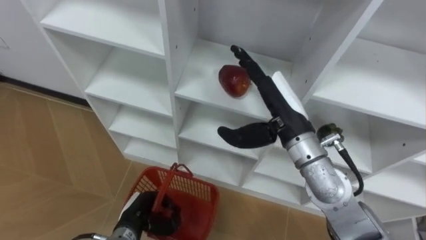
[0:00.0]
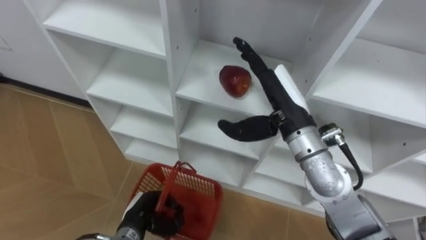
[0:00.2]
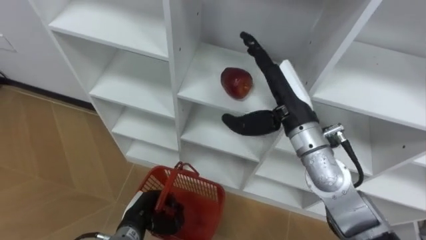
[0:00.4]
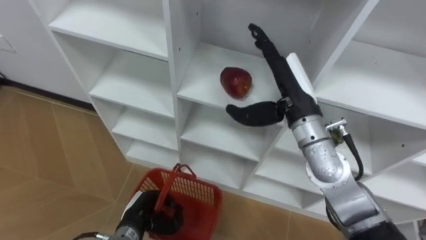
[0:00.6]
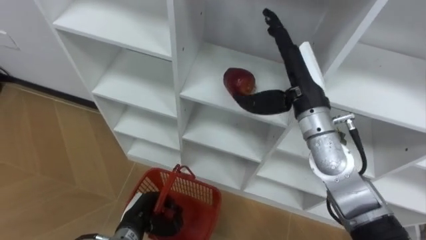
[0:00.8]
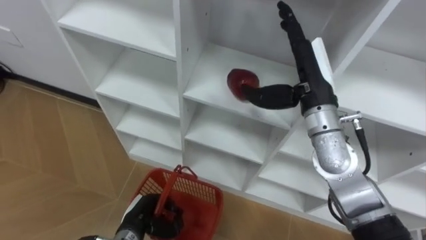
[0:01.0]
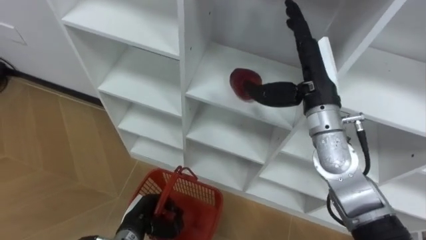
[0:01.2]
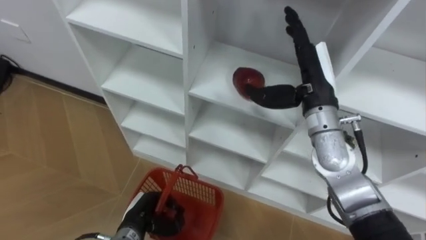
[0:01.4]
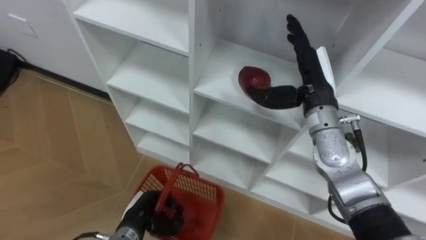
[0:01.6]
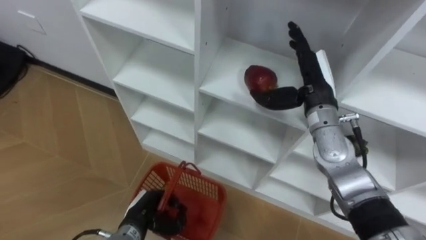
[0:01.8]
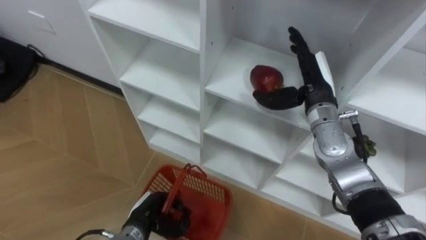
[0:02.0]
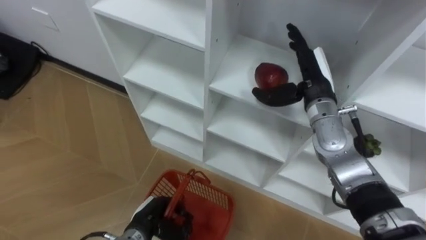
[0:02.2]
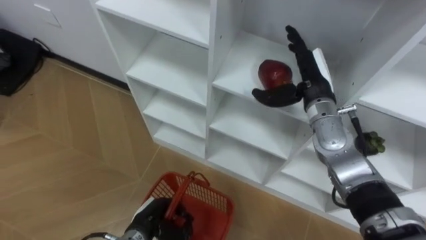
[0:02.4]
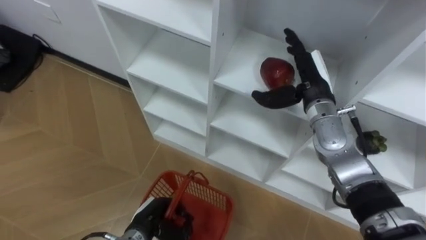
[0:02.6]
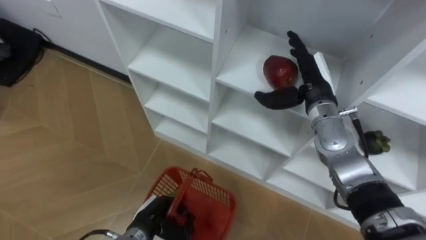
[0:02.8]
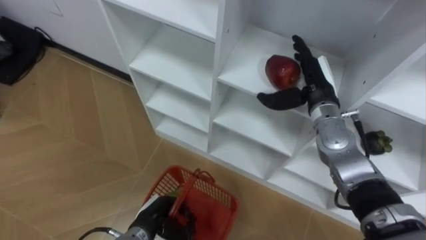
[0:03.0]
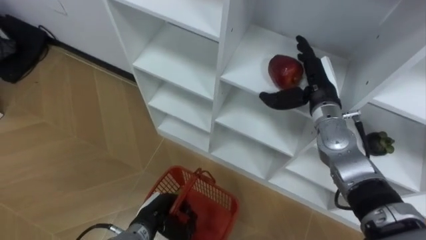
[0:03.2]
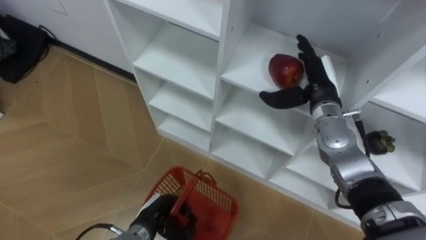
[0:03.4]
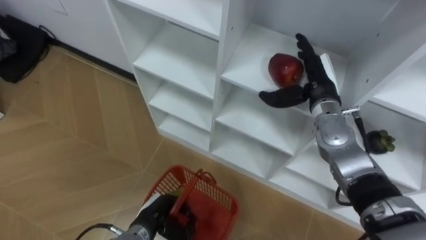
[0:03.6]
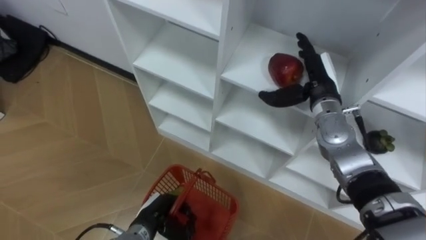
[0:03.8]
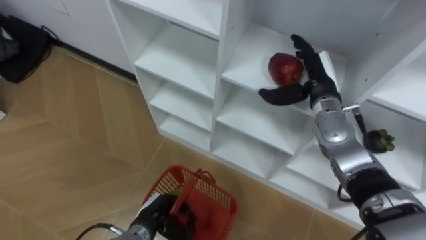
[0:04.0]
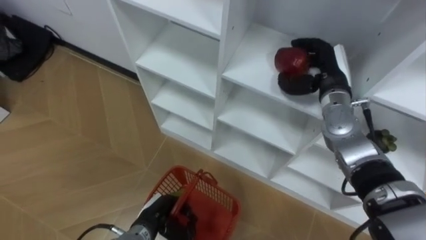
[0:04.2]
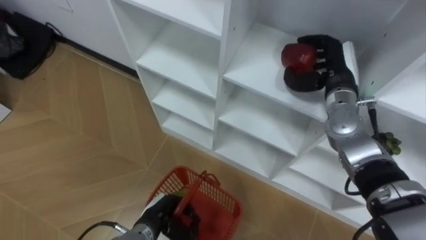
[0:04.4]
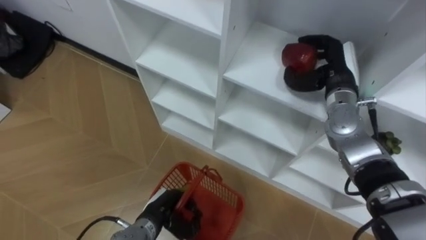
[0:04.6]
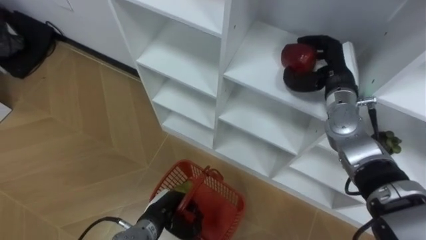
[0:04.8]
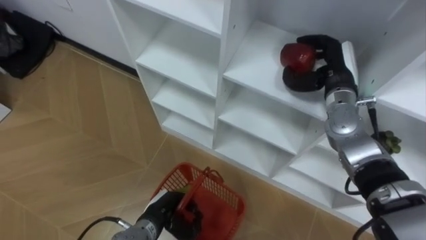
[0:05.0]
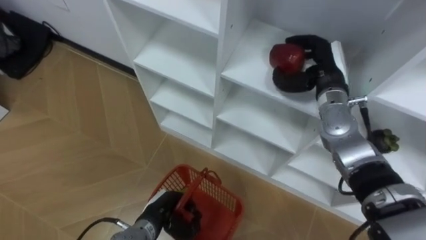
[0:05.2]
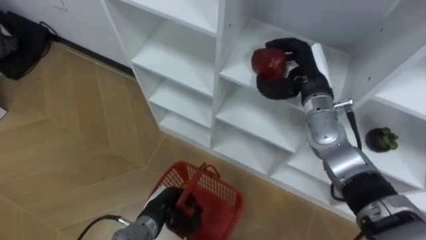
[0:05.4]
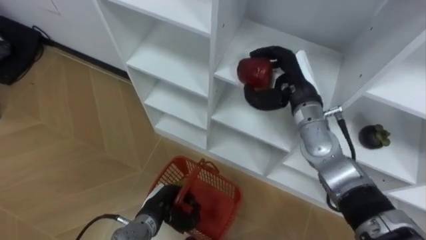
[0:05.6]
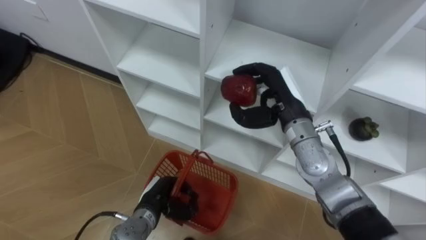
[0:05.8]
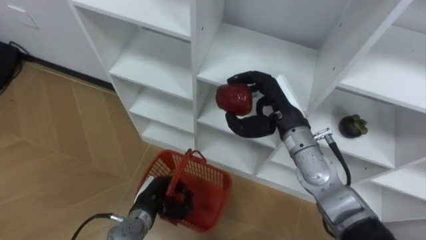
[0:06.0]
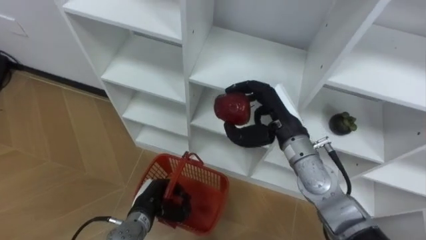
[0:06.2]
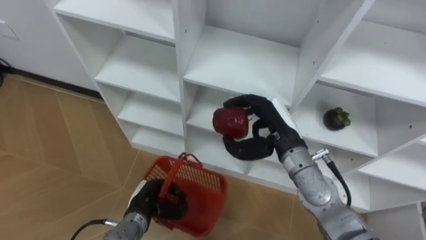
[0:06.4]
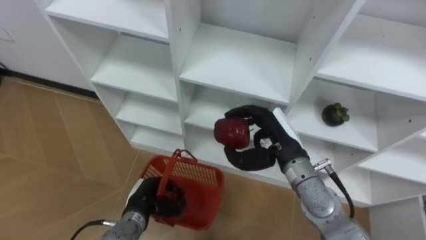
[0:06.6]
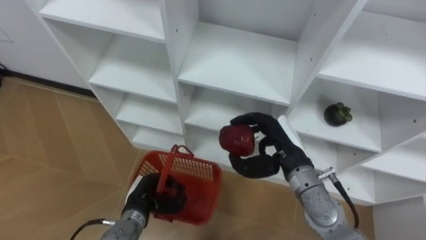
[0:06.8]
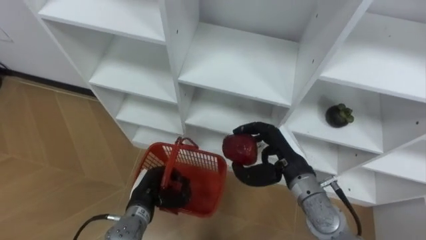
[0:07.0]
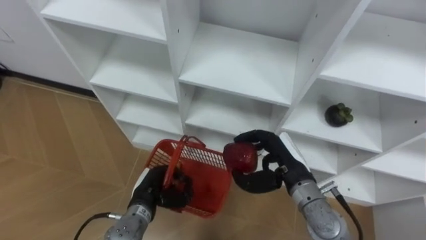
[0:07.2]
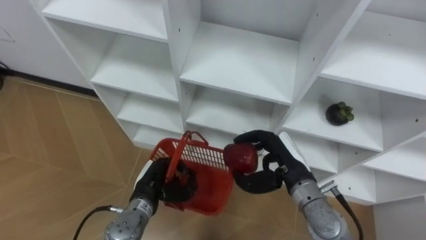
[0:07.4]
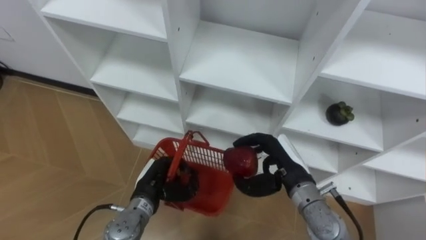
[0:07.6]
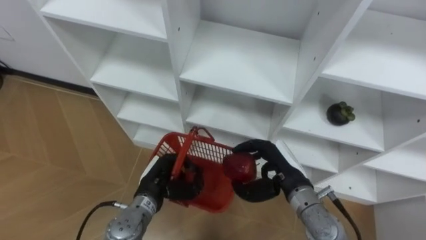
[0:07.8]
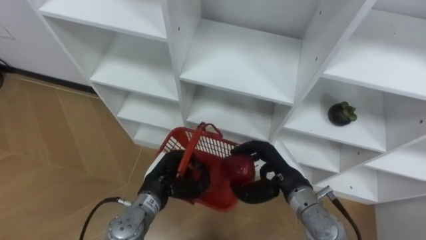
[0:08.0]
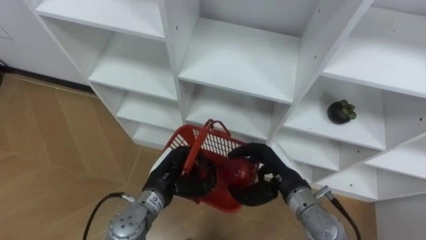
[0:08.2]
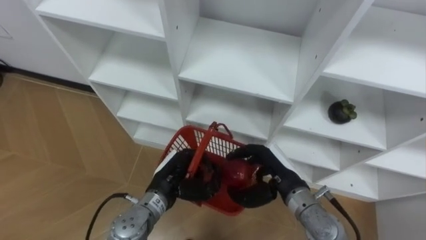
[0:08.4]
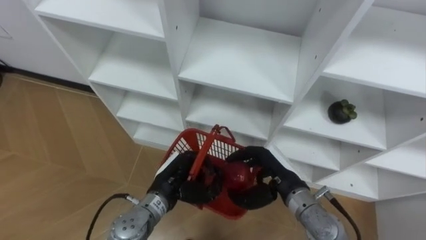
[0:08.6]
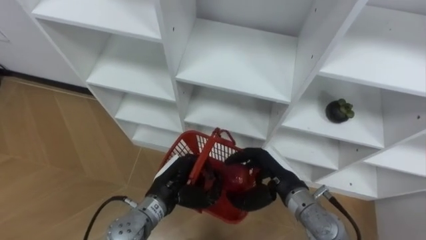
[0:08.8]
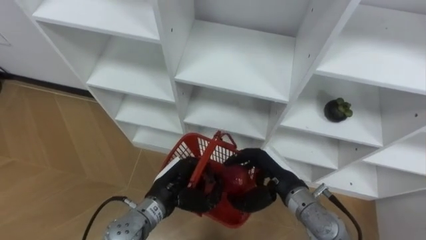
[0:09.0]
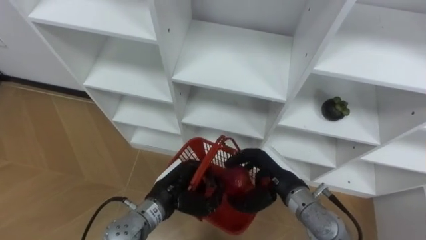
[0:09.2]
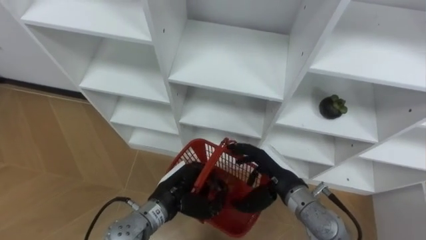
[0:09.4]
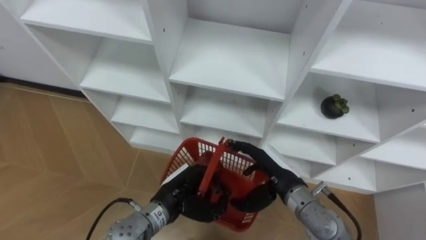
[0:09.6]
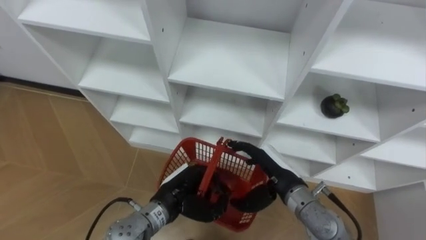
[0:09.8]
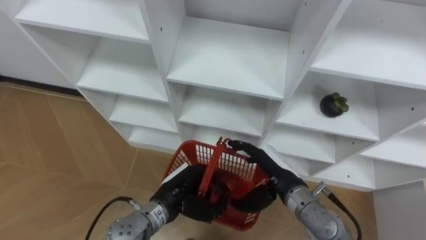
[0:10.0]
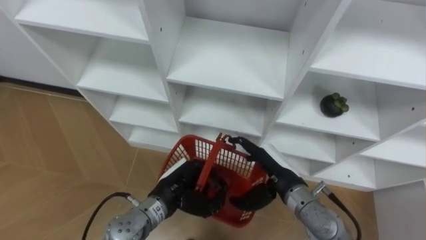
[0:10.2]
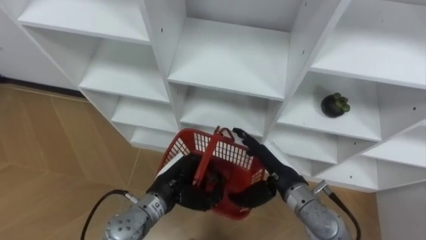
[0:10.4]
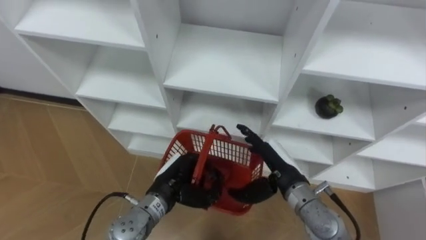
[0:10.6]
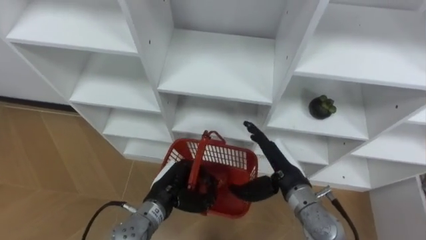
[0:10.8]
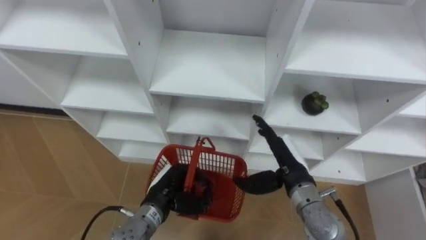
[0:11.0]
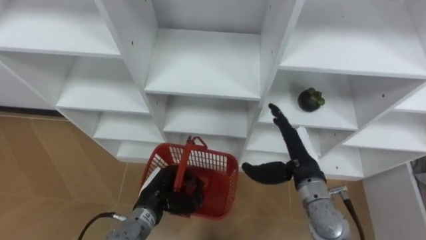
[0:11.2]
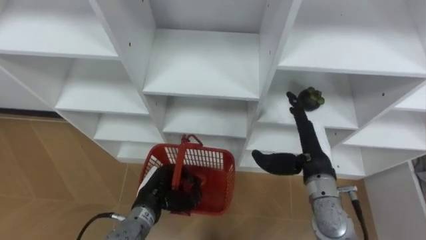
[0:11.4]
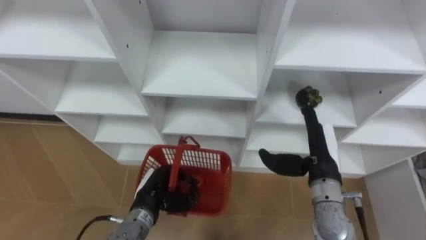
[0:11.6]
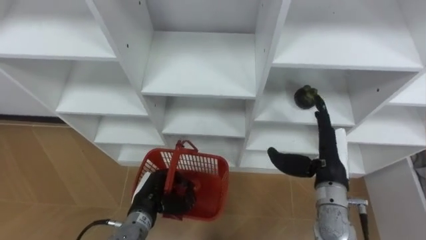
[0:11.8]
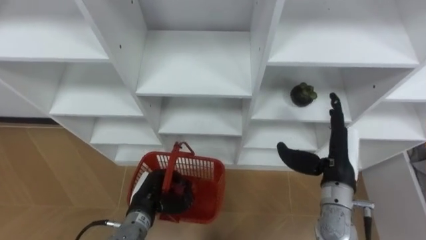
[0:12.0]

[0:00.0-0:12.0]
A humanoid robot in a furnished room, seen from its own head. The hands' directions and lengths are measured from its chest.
Task of the whole recording: Hold the basket and collect the fruits from 3 different cells of the closet into it.
0:00.0 to 0:01.6: The right hand goes some 10 cm to the right and forward.
0:01.6 to 0:03.0: The right hand changes place by roughly 5 cm.
0:03.0 to 0:04.4: The right hand closes up.
0:04.4 to 0:06.0: The right hand travels to the left and backward by about 10 cm.
0:06.0 to 0:07.6: The right hand moves downward and backward, roughly 10 cm.
0:07.6 to 0:09.0: The left hand changes place by approximately 5 cm.
0:09.0 to 0:10.4: The right hand opens up.
0:10.4 to 0:12.0: The left hand shifts about 10 cm to the left and downward, while the right hand goes some 10 cm to the right.

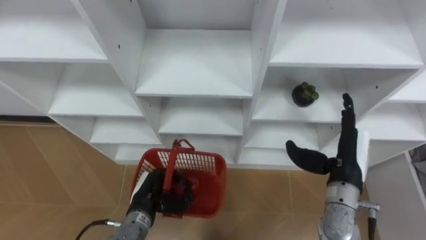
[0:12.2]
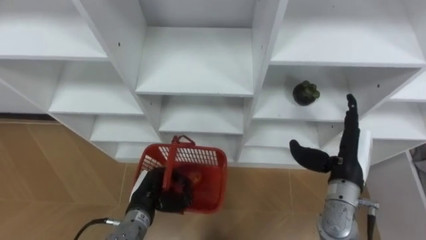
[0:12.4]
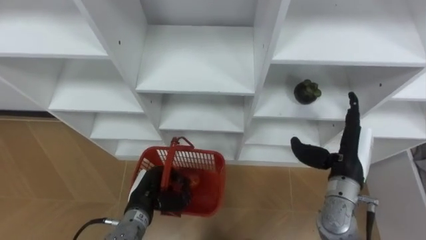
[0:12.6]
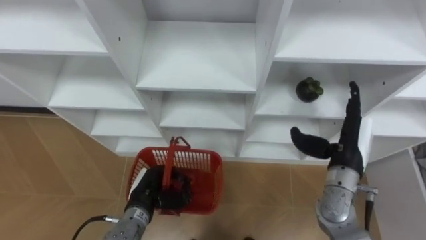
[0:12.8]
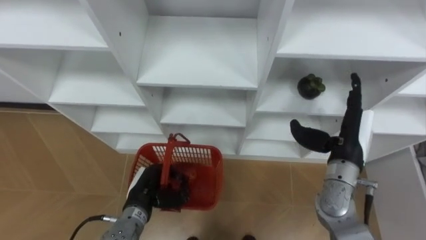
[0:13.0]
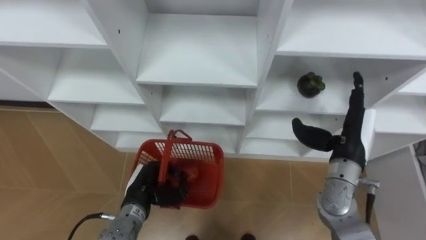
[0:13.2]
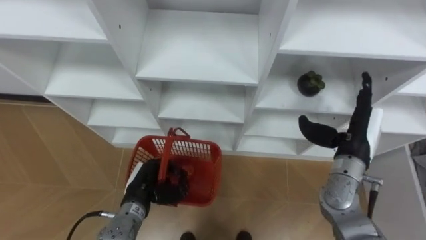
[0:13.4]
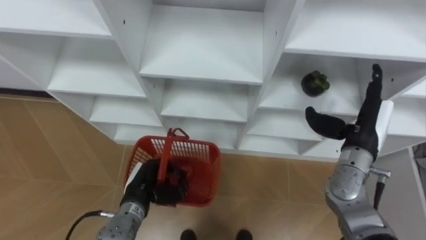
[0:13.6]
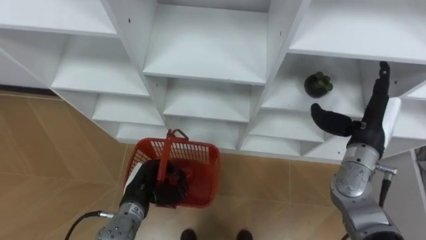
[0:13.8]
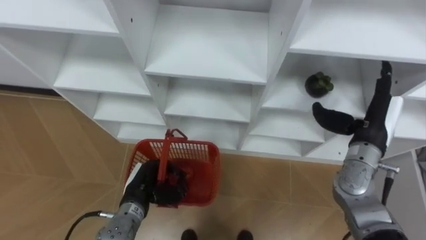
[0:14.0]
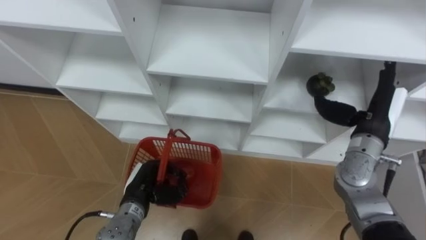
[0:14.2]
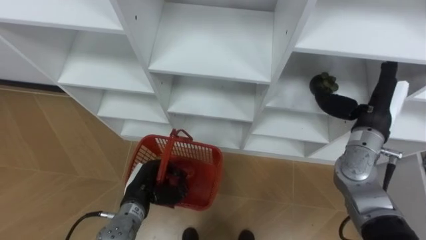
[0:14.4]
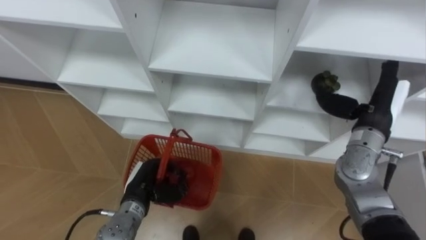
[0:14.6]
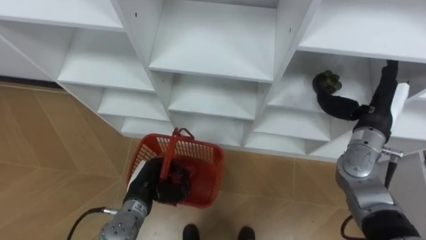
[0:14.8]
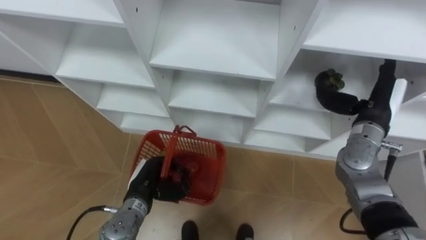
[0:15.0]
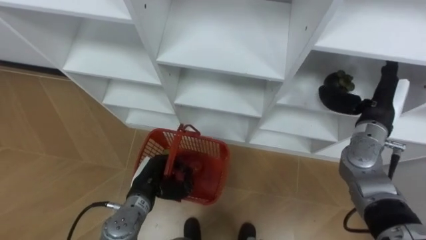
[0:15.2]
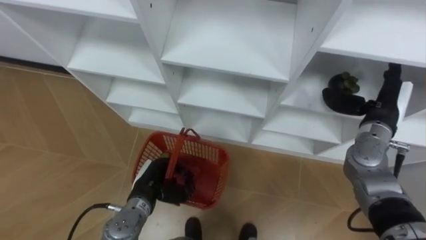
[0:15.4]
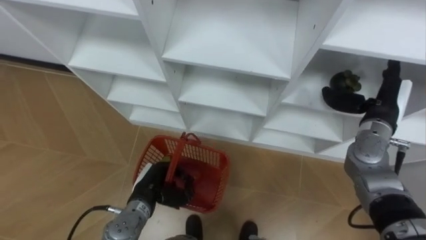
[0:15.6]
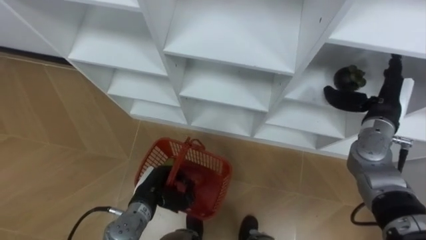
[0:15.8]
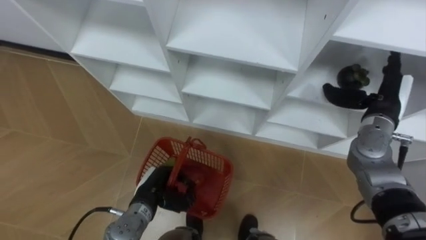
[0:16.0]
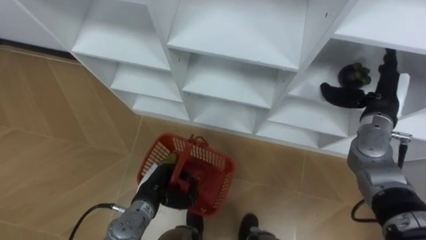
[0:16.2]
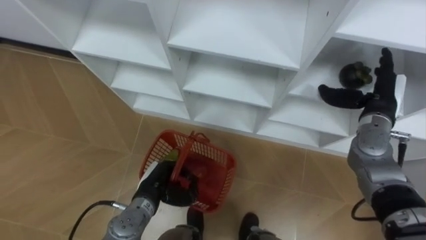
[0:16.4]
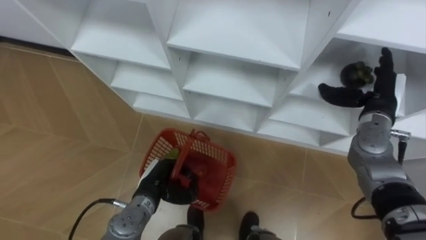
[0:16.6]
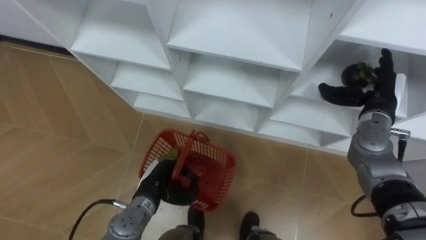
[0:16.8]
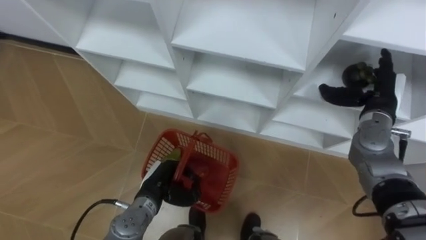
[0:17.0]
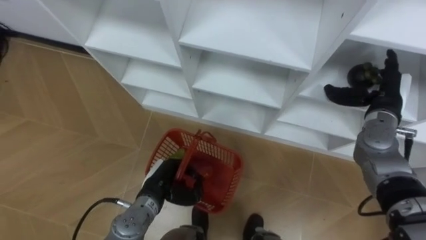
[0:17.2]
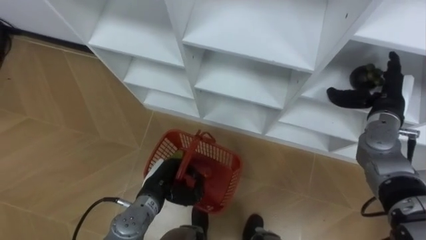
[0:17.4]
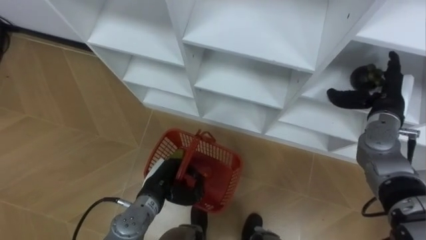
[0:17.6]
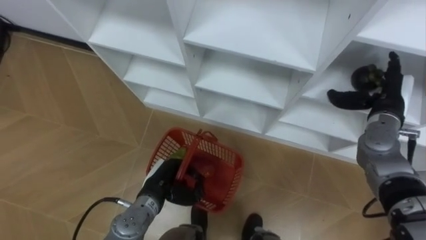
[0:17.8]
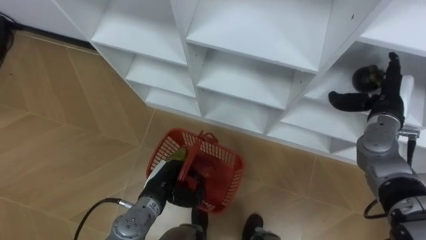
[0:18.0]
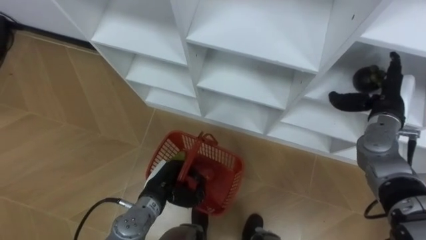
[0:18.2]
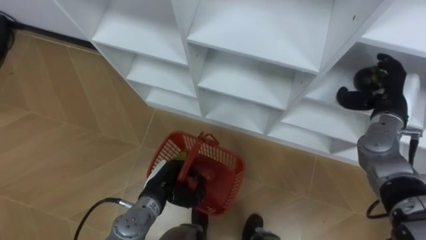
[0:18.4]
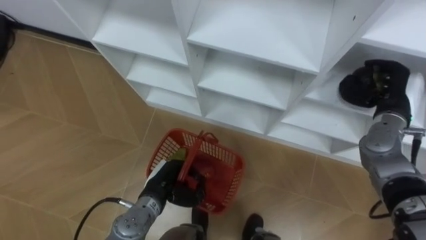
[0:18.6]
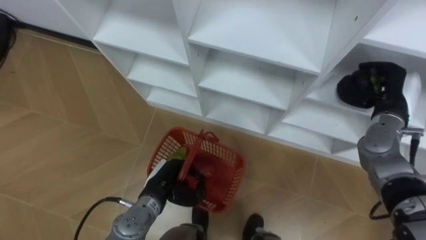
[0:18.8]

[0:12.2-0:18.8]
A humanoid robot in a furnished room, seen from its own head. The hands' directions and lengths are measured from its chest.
Task of the whole recording: Hold the basket and collect the fruits from 3 different cells of the closet into it.
0:12.2 to 0:13.8: The right hand is displaced forward by approximately 5 cm.
0:17.2 to 0:18.8: The right hand closes its fingers.
